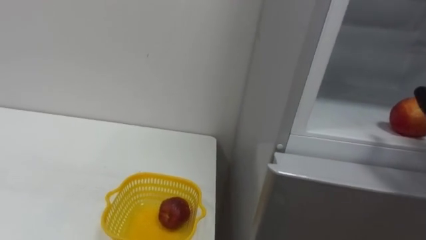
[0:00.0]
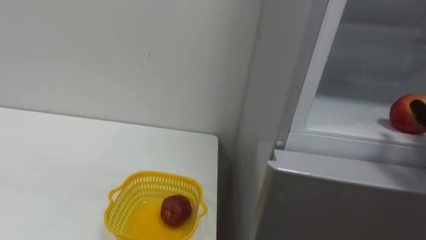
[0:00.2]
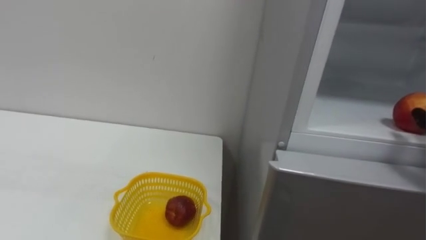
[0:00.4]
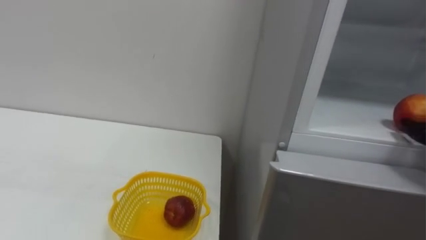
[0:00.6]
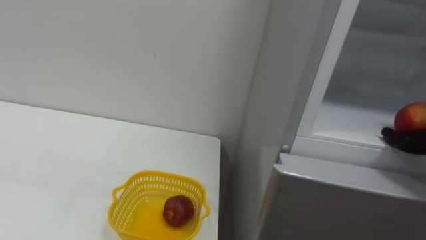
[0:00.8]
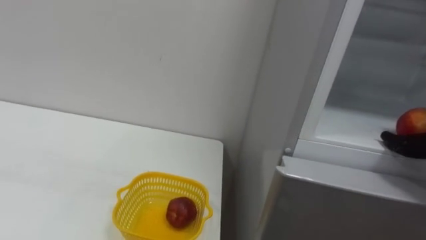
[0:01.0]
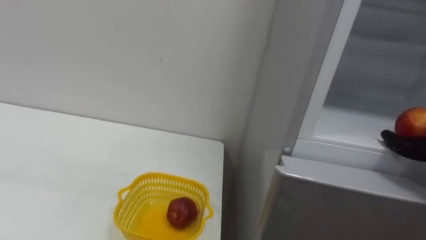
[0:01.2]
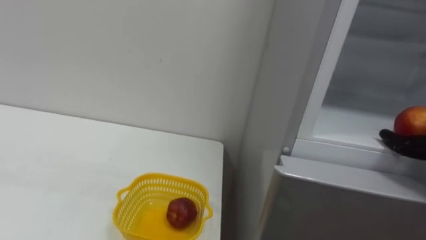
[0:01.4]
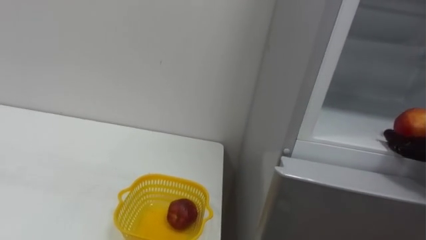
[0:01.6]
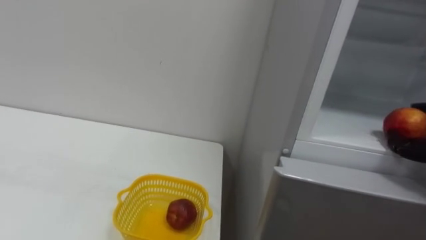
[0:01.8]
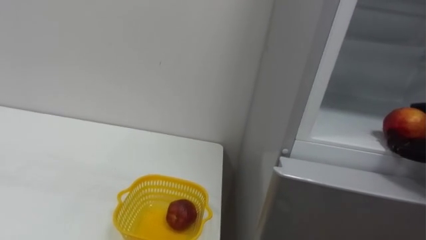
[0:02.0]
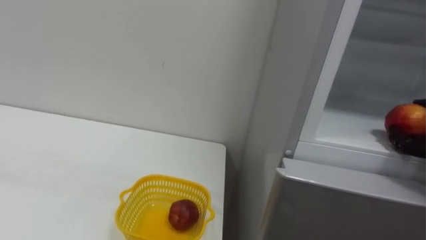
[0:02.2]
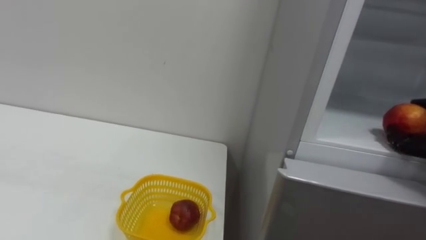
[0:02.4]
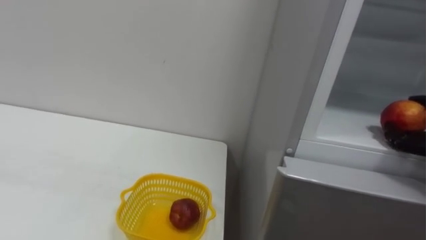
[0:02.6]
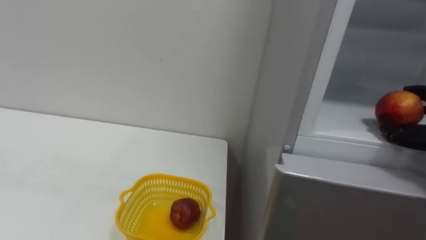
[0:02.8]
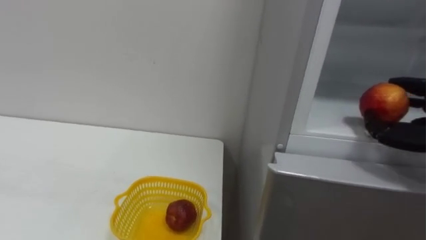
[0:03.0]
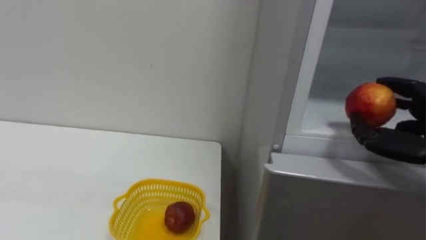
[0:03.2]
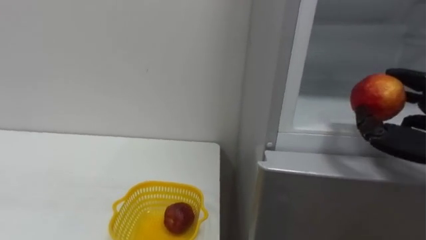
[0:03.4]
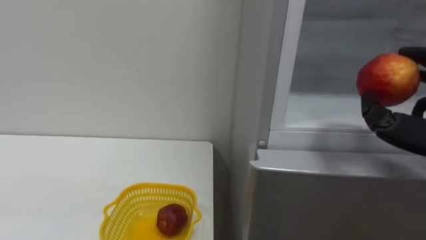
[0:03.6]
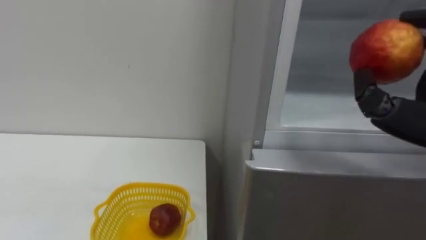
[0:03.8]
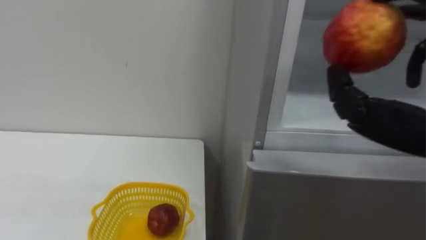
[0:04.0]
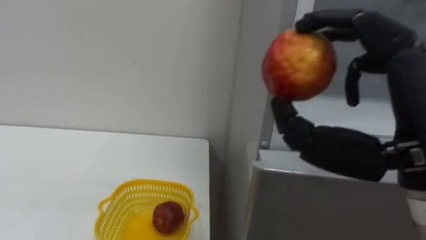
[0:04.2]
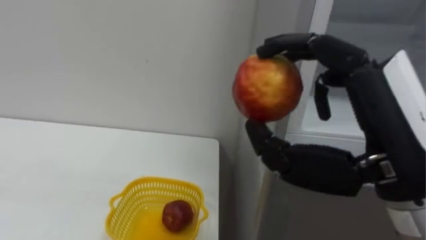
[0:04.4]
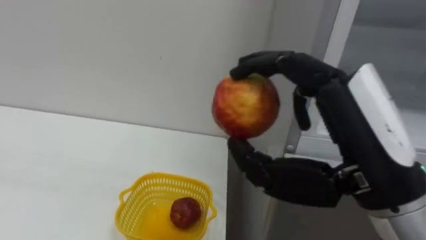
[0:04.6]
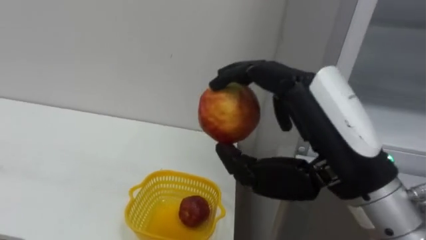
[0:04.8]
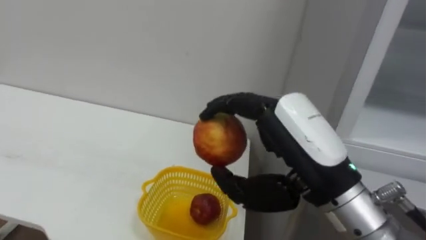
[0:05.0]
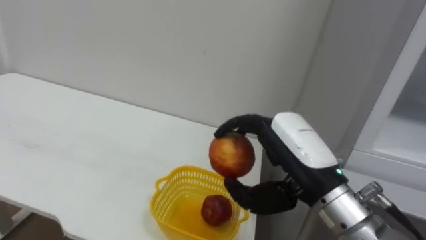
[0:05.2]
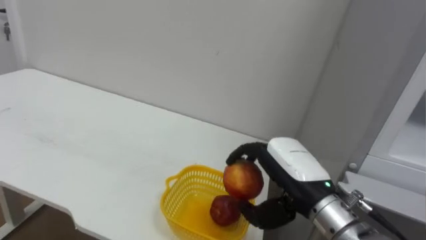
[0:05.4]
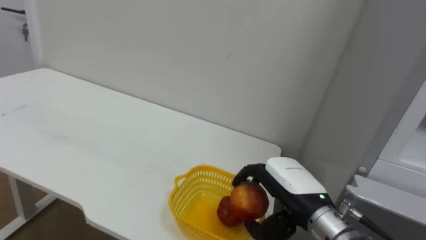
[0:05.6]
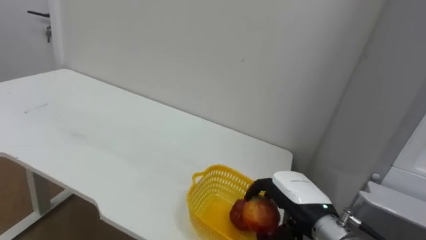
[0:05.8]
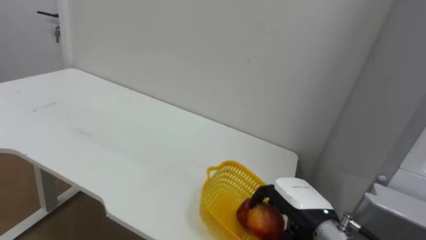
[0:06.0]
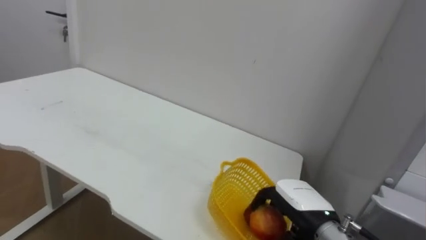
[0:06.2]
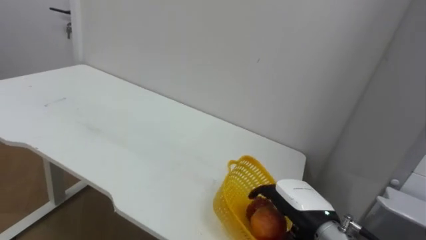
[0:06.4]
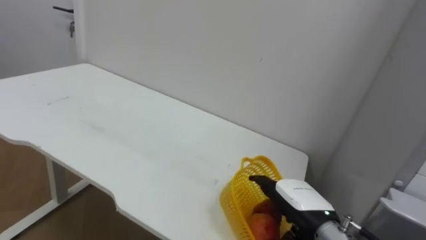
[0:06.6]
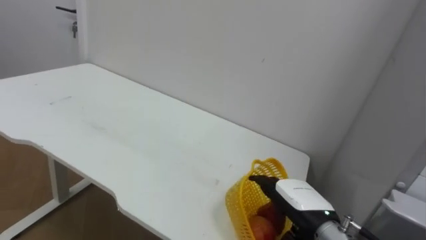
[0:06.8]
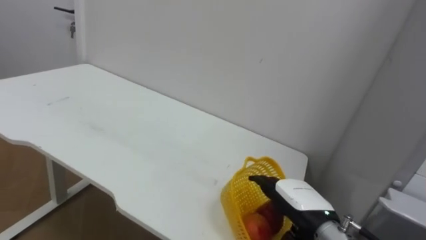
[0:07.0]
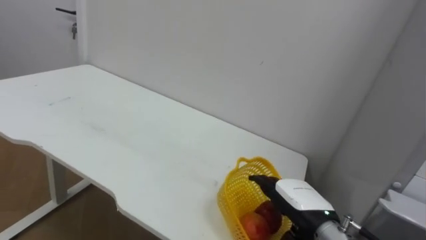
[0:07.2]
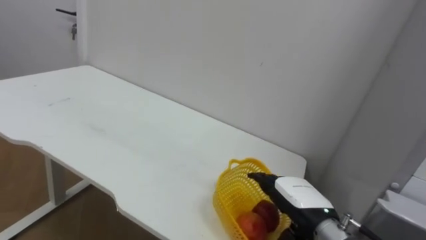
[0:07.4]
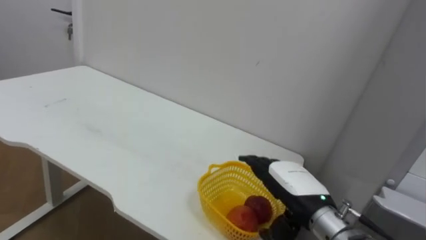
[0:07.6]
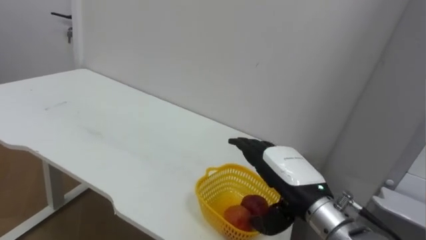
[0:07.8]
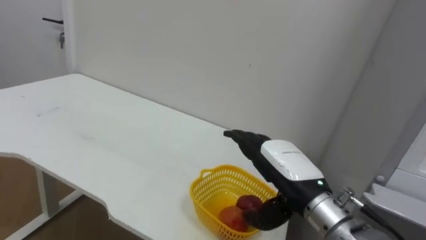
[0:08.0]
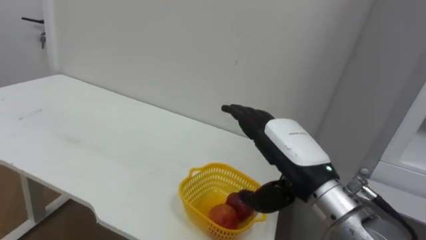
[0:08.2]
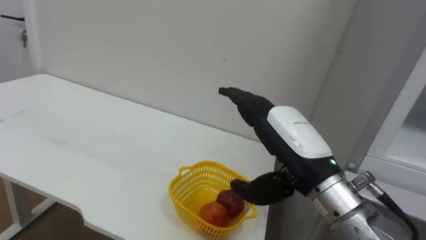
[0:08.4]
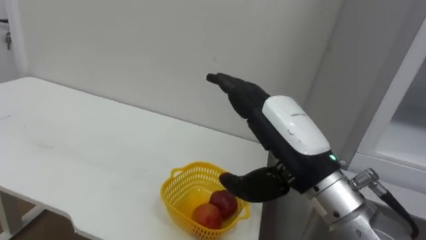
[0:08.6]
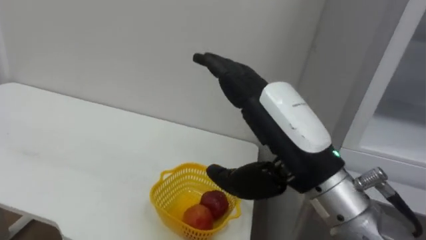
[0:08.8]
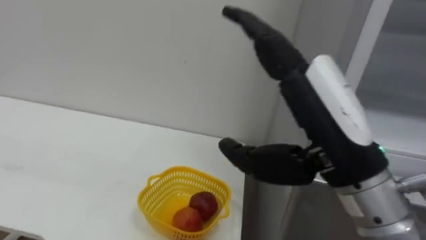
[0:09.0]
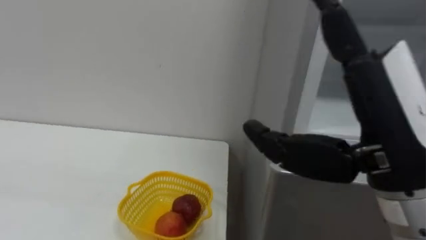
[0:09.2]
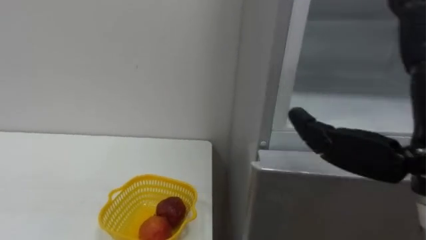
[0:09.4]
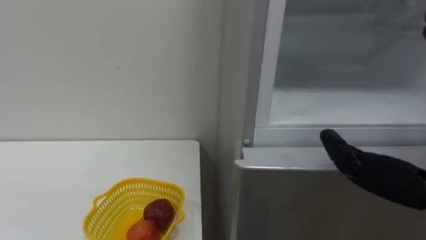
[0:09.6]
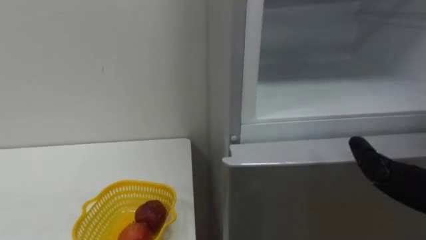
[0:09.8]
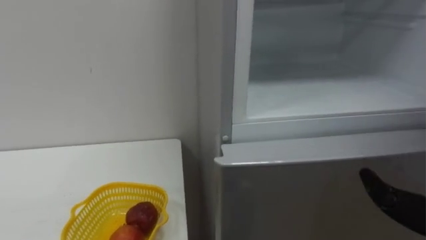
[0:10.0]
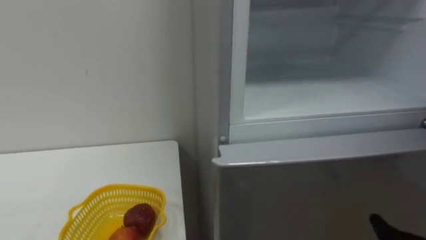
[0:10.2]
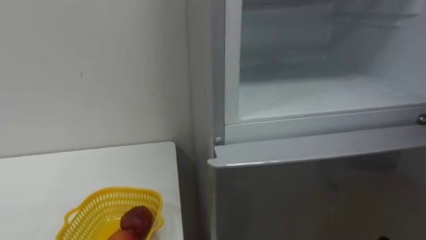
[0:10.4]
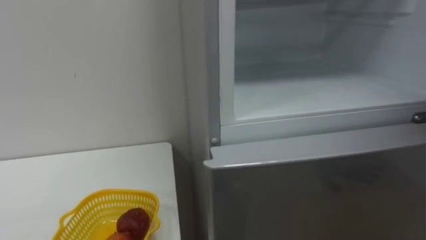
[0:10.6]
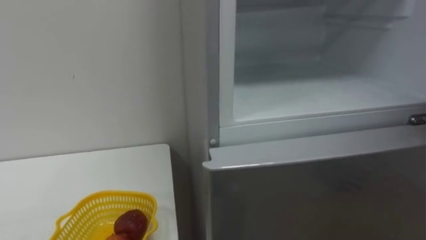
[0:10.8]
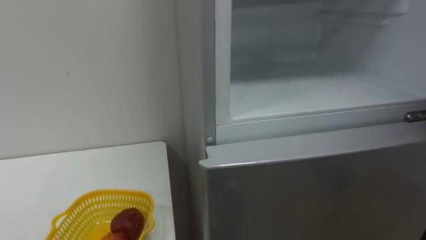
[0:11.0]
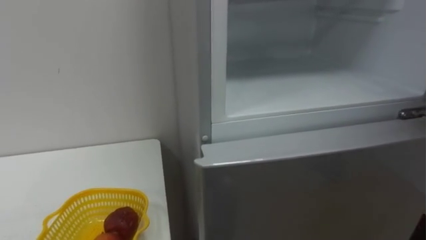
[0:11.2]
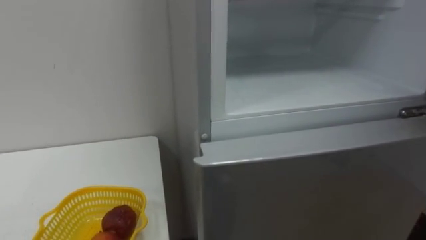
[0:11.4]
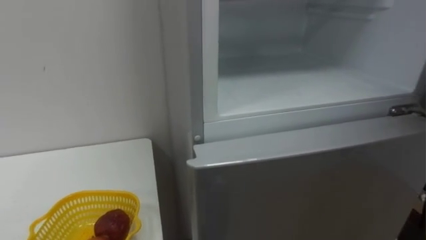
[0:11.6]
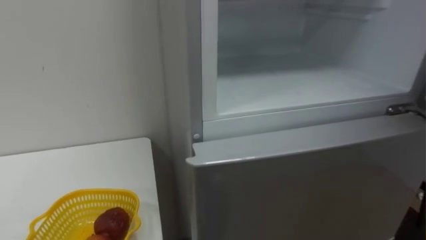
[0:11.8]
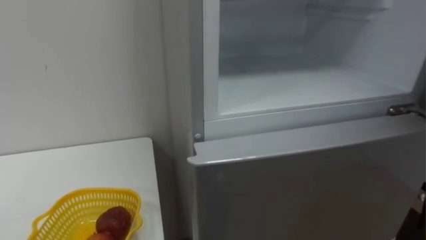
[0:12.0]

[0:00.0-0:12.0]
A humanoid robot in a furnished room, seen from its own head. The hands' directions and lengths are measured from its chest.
Task of the whole recording: Open the refrigerator door, take out the apple and the pomegranate, place them in the fruit basket on the left, and close the refrigerator door.
0:04.4 to 0:06.0: The right hand heads downward and forward, covering some 25 cm.
0:06.0 to 0:07.6: The right hand opens its fingers.
0:07.6 to 0:09.0: The right hand is displaced upward and backward by roughly 20 cm.

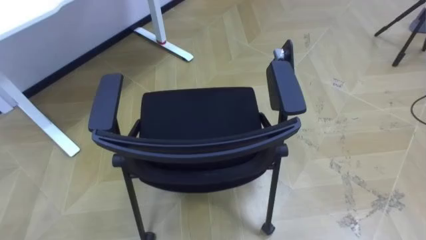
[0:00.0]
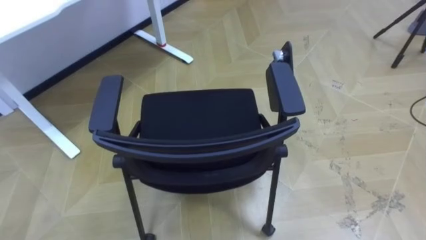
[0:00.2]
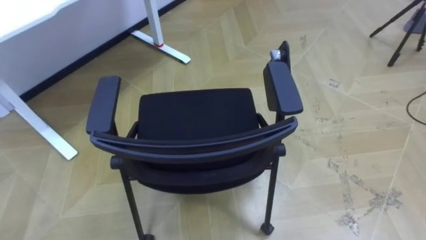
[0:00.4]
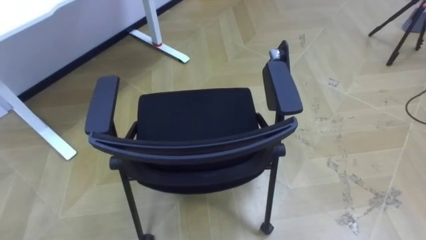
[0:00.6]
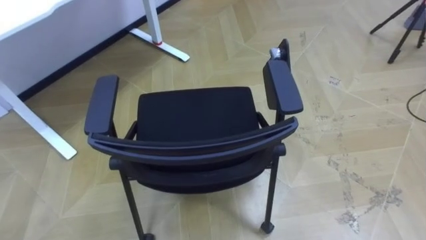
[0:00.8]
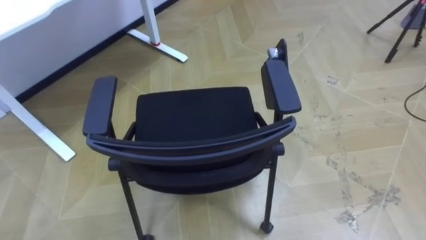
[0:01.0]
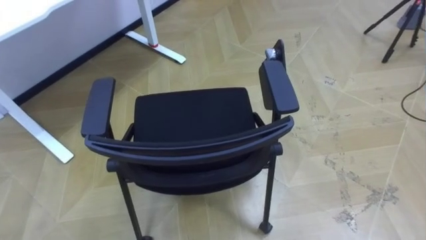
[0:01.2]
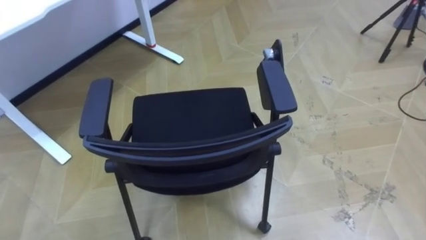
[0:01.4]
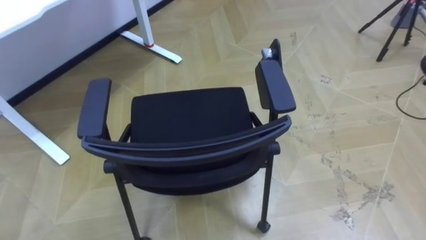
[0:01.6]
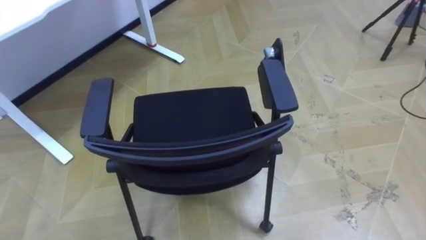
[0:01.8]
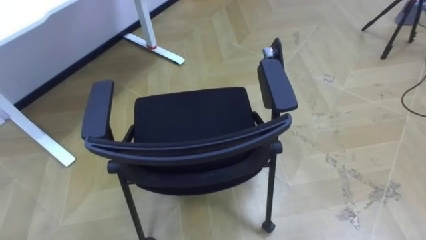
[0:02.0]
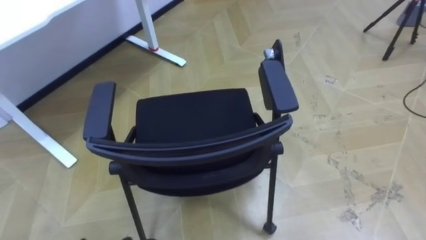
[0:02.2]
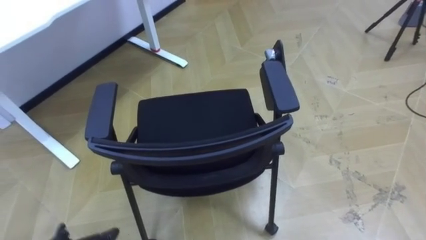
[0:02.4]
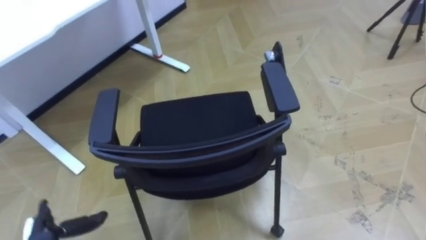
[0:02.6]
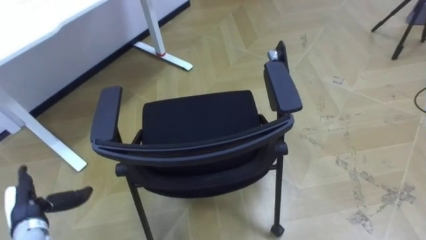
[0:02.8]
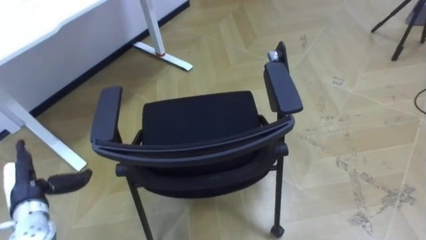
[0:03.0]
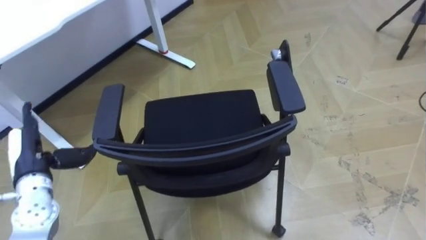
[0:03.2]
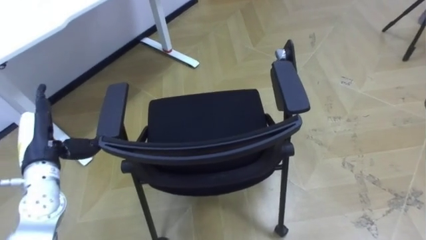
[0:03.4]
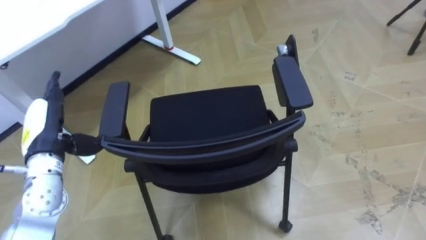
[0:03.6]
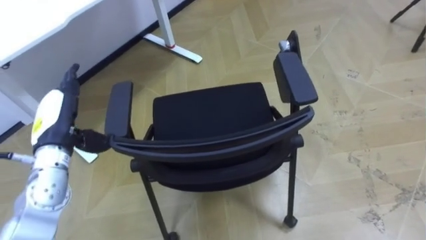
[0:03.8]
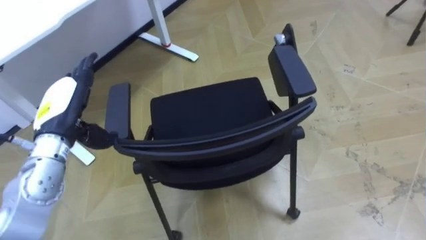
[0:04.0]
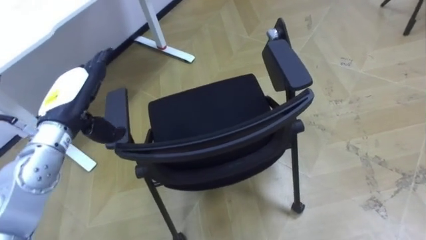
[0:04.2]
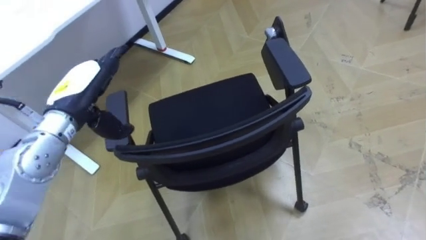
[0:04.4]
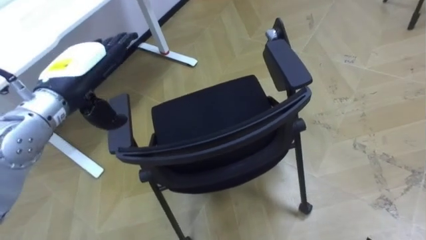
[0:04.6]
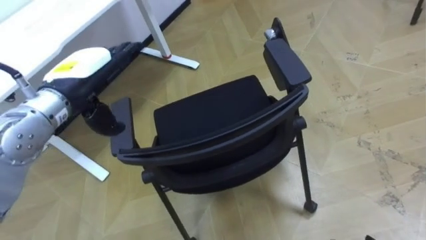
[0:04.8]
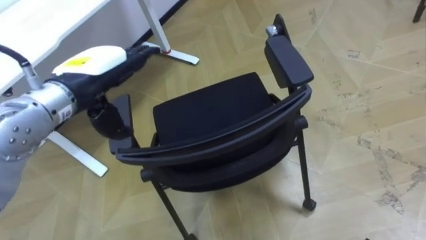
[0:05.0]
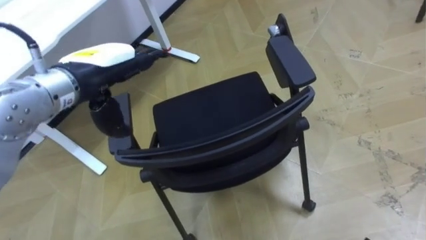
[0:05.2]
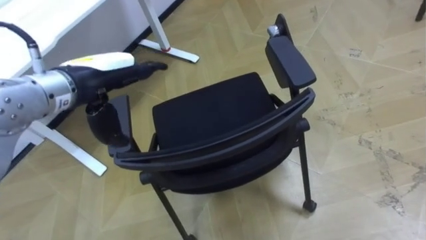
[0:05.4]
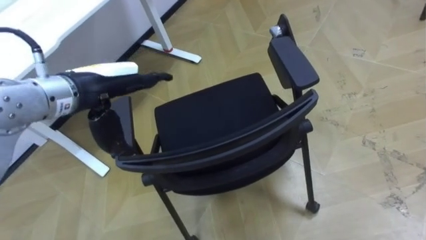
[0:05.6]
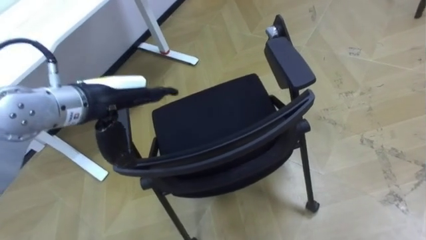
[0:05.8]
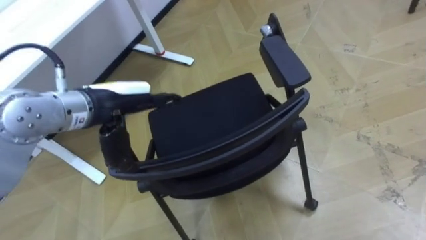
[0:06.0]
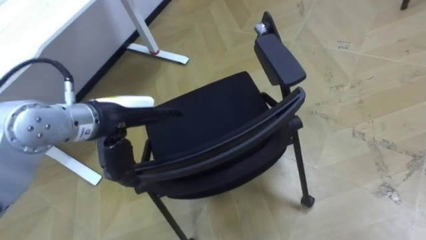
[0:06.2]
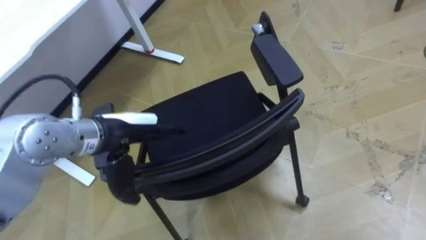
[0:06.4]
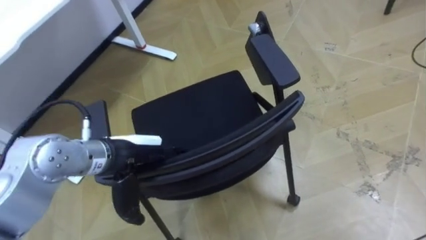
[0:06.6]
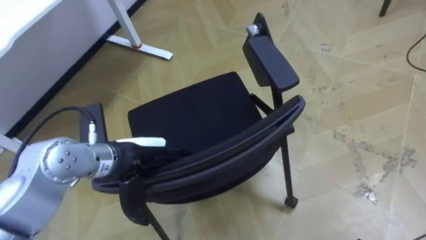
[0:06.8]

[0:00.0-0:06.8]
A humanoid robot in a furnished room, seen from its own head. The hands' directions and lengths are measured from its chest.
Task of the whole recording: Push the chair under the table.
0:02.8 to 0:04.0: The left hand is displaced upward, forward and to the right by about 20 cm.
0:04.0 to 0:05.4: The left hand heads to the right and upward, covering roughly 10 cm.
0:05.4 to 0:06.8: The left hand travels downward and backward by approximately 15 cm.
